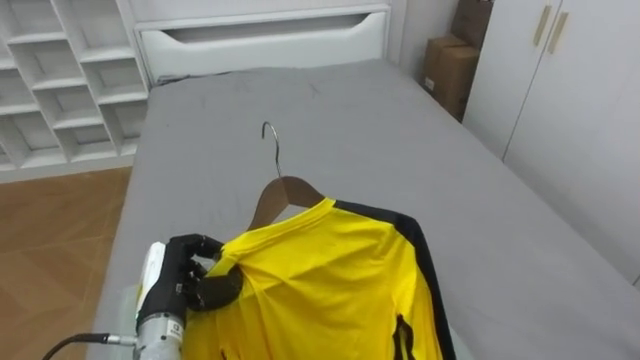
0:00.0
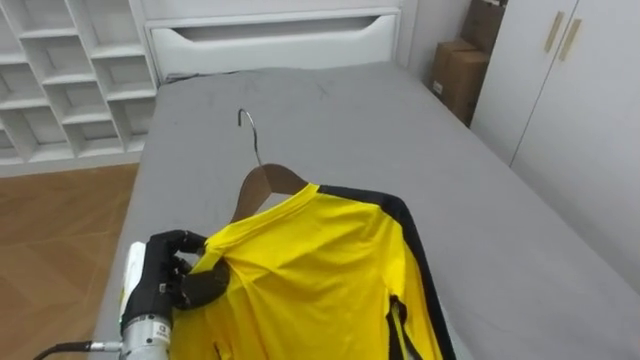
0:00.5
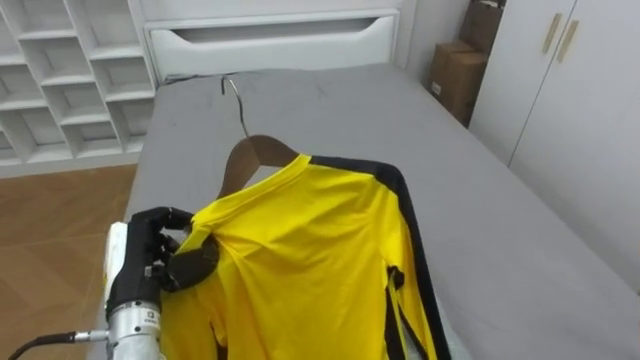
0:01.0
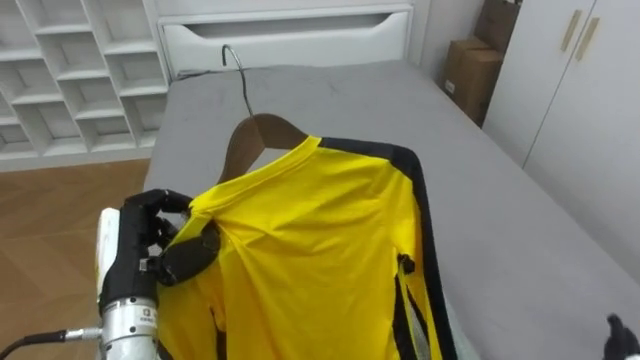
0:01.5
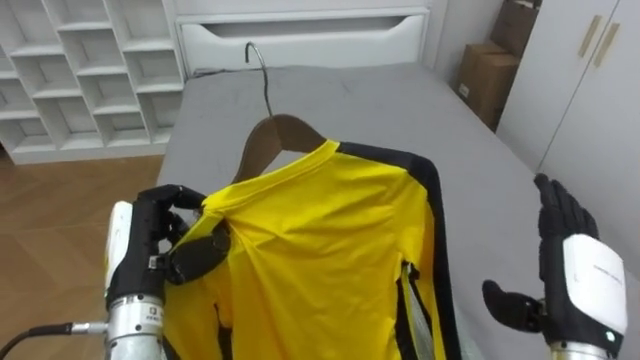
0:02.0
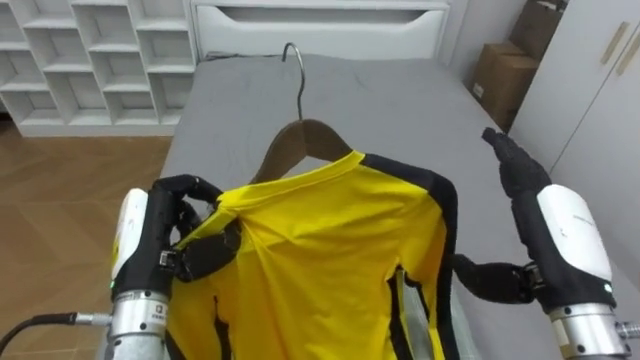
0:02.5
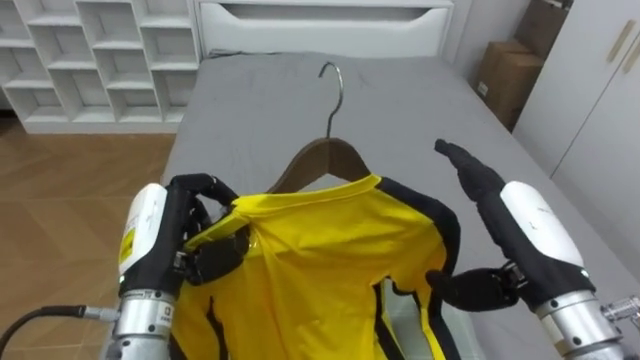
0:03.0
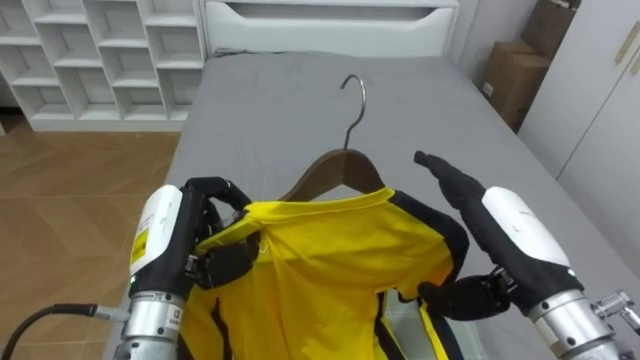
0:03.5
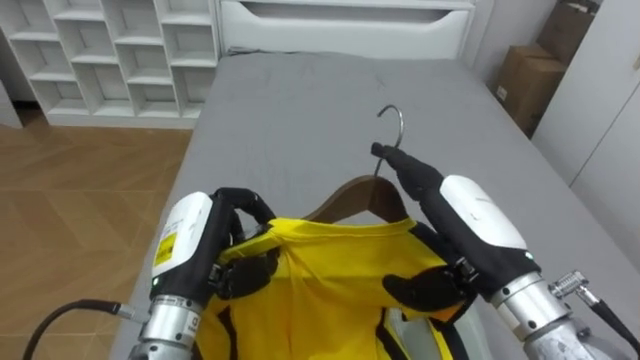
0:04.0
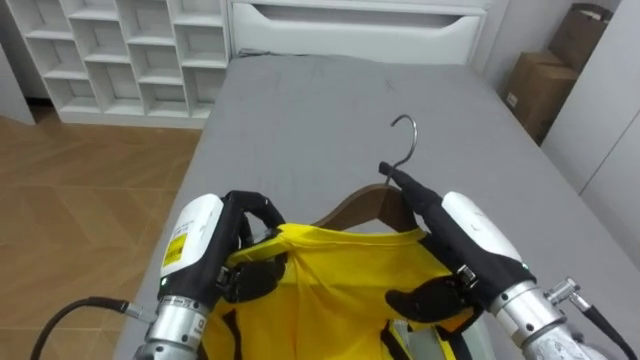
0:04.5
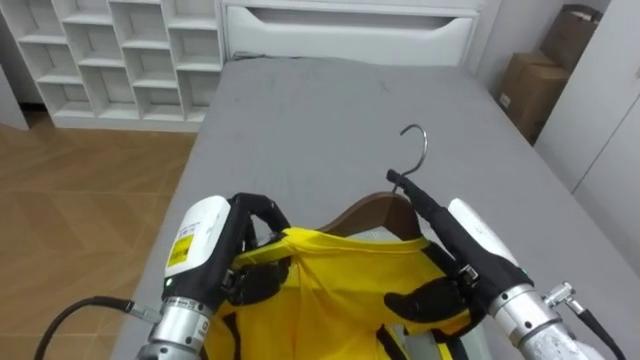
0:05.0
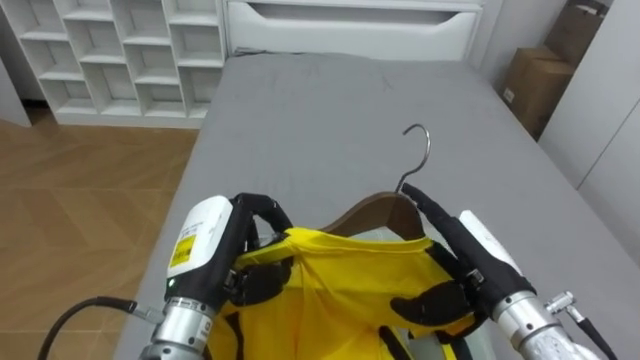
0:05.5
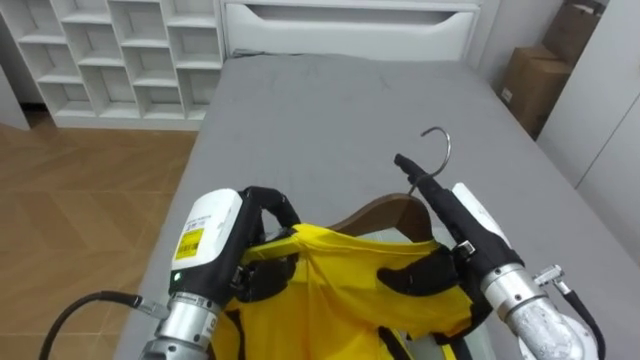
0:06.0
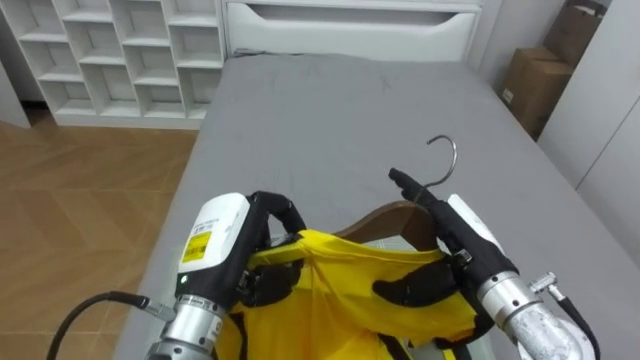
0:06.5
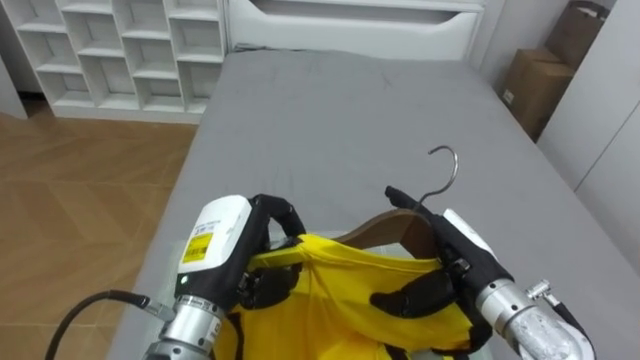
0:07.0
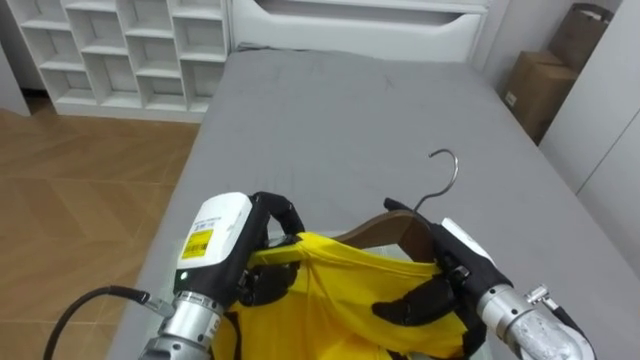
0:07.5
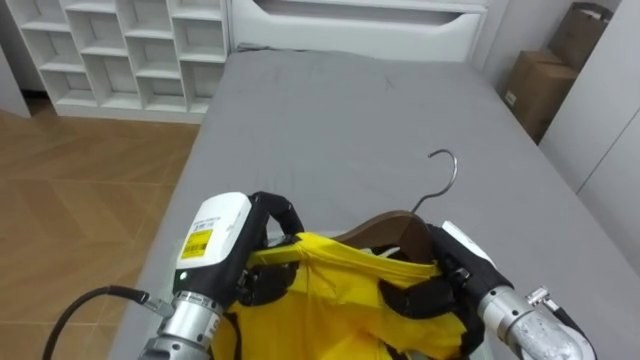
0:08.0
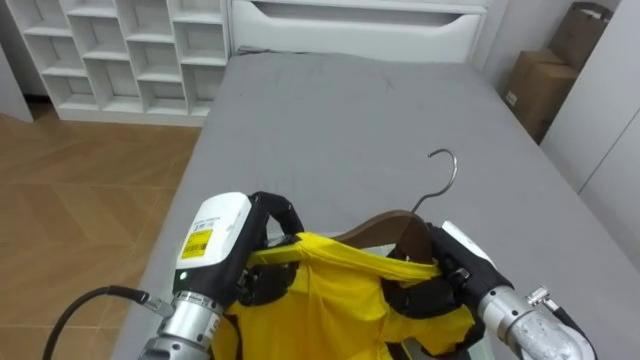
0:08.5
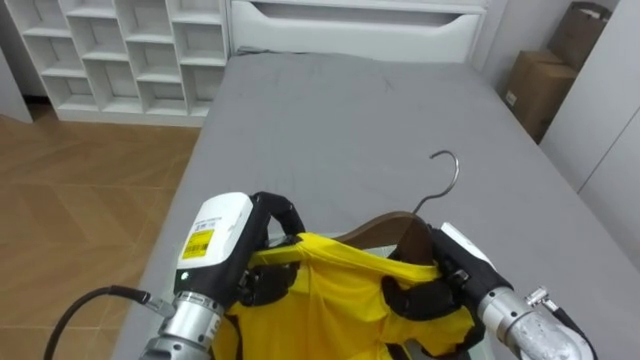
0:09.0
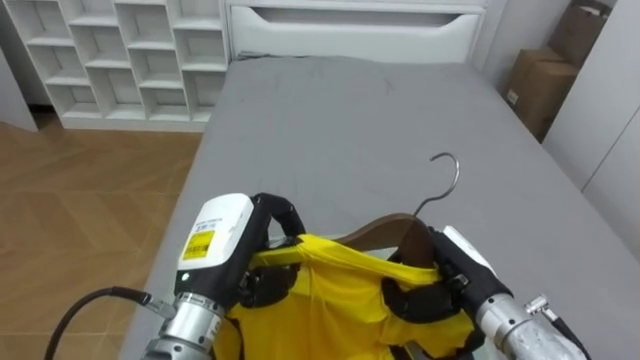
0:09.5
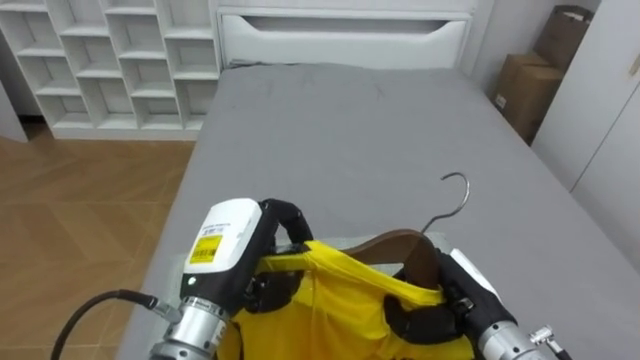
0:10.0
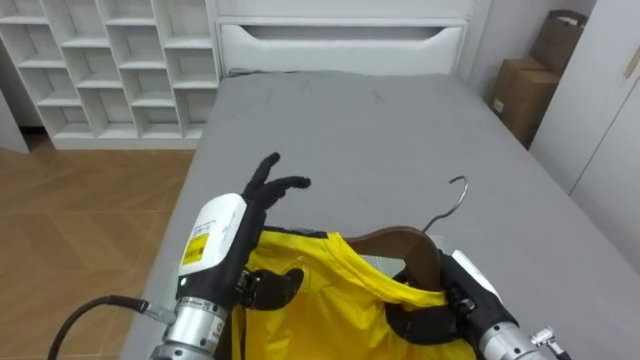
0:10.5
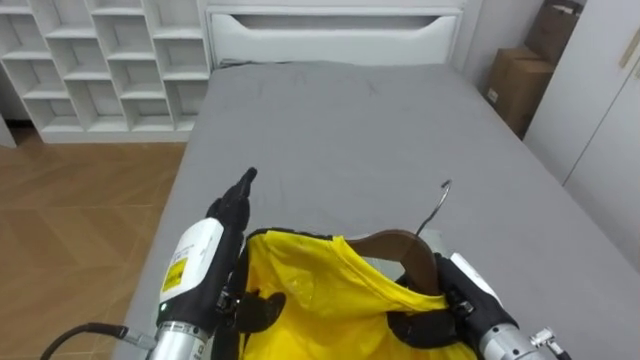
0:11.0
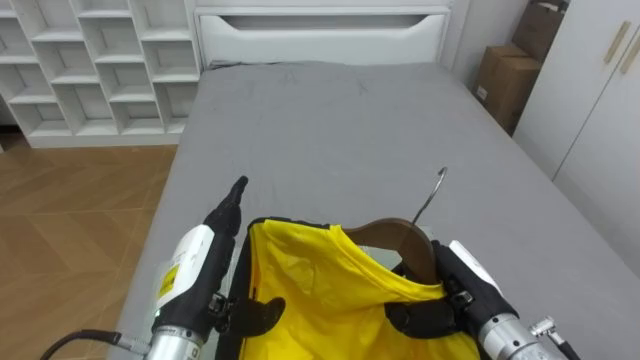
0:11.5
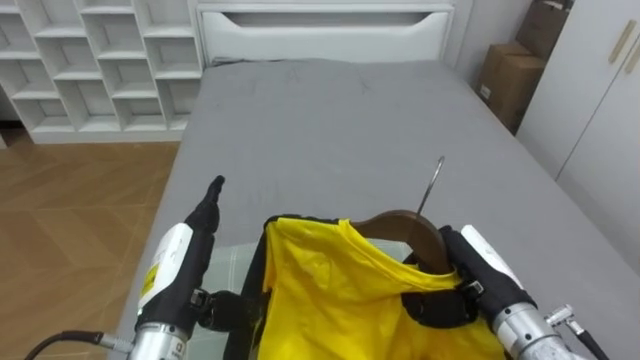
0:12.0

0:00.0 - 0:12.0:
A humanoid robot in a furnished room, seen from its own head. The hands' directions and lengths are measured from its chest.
Task of the whole recording: Pick up the yellow shirt on the bed and hang it on the clothes rack on the right.
0:00.0 - 0:02.0: The left hand heads upward, covering approximately 10 cm.
0:02.0 - 0:04.0: The left hand shifts approximately 5 cm to the right; the right hand travels to the left and upward by some 15 cm.
0:04.0 - 0:06.0: The right hand travels downward by approximately 5 cm.
0:06.0 - 0:08.0: The right hand travels downward by approximately 5 cm, and closes.
0:08.0 - 0:10.0: The right hand closes up.
0:10.0 - 0:12.0: The left hand travels to the left by approximately 5 cm, and opens up.

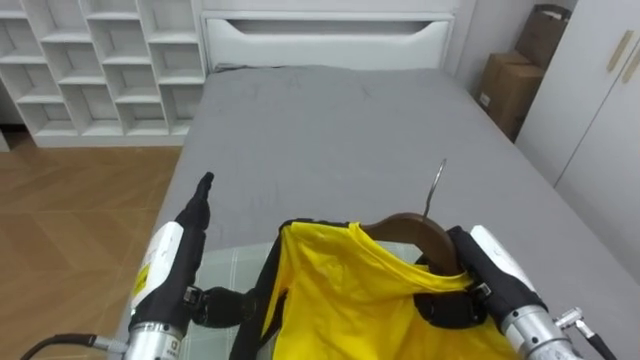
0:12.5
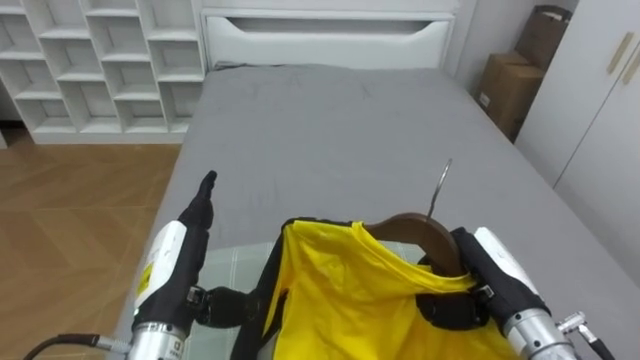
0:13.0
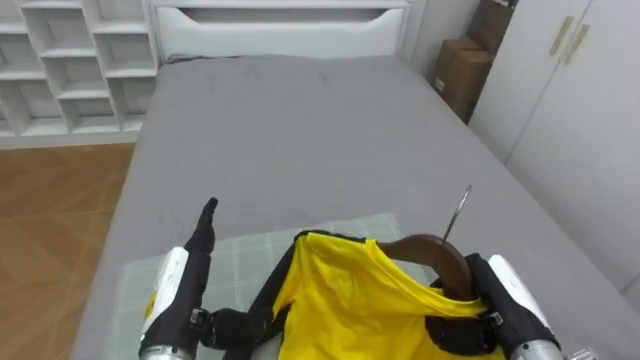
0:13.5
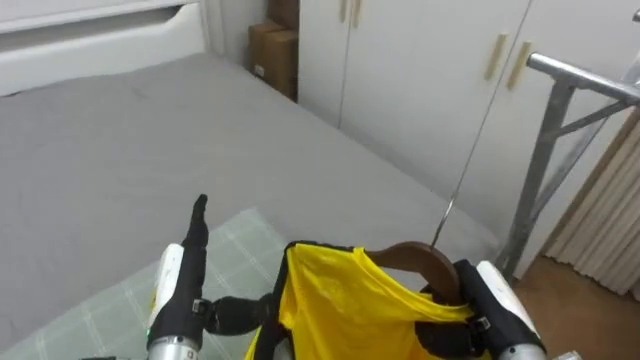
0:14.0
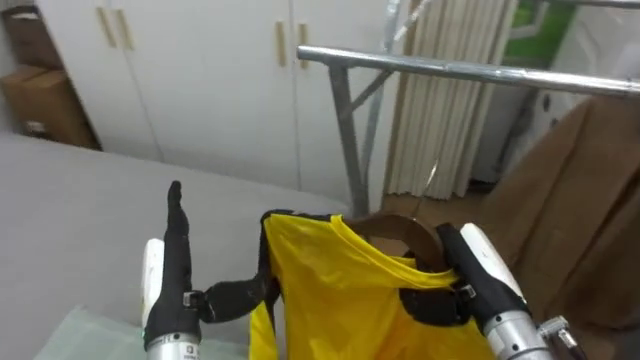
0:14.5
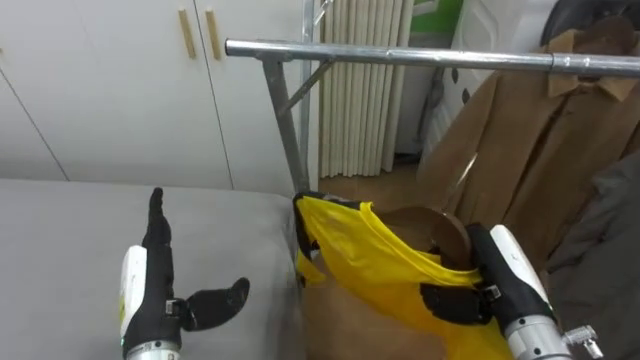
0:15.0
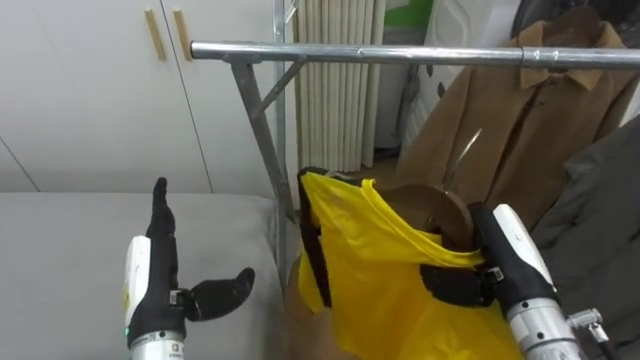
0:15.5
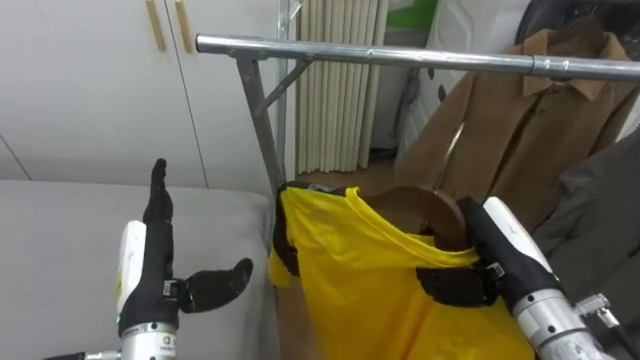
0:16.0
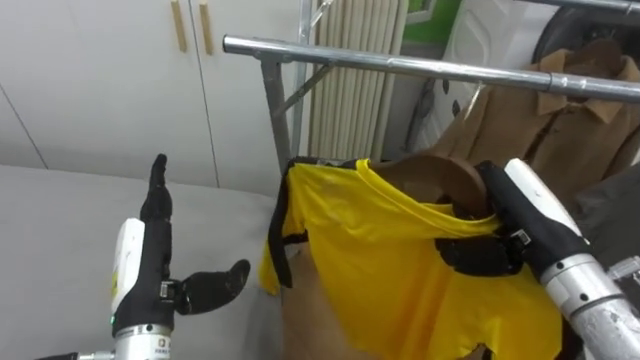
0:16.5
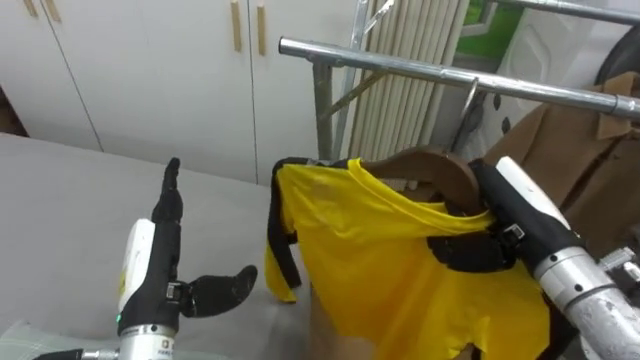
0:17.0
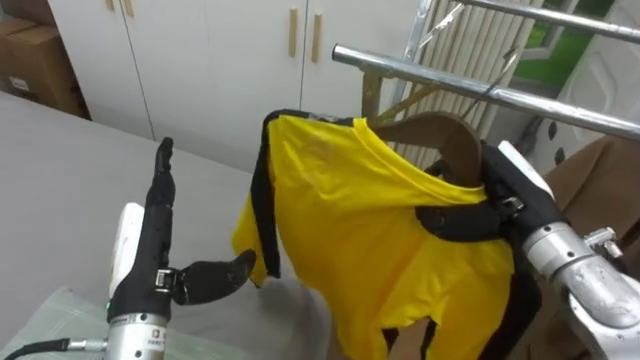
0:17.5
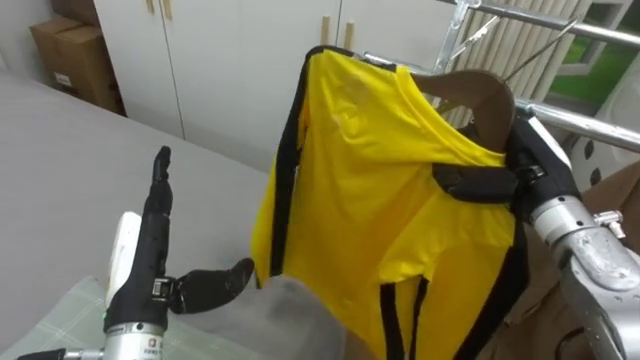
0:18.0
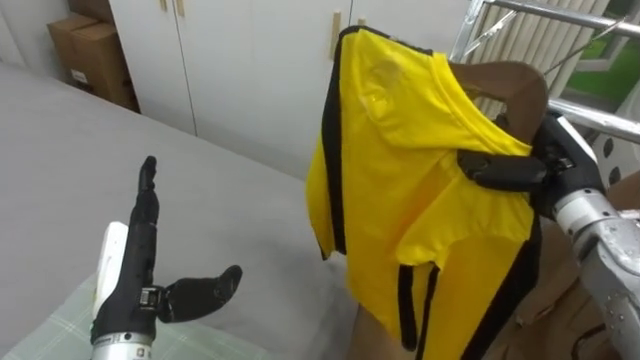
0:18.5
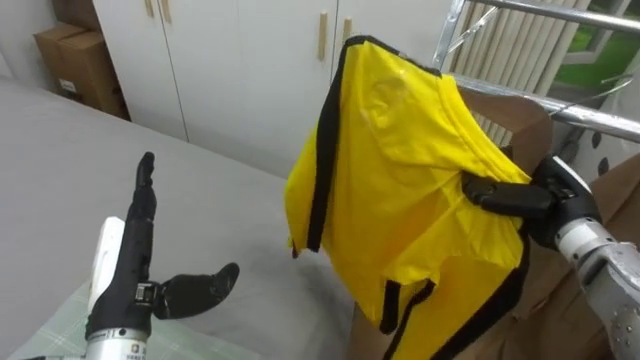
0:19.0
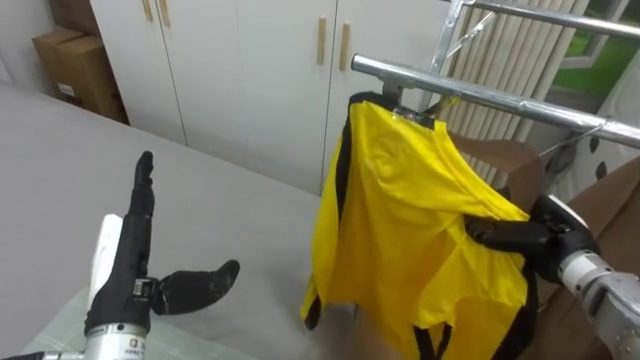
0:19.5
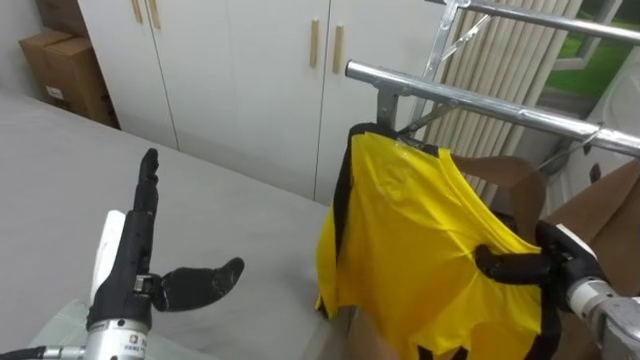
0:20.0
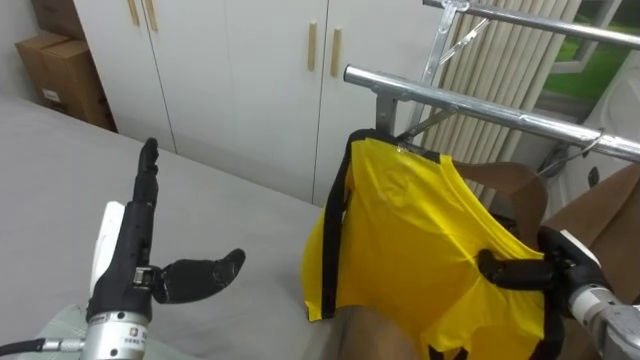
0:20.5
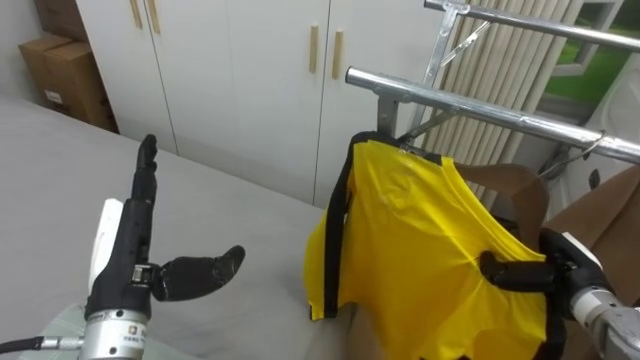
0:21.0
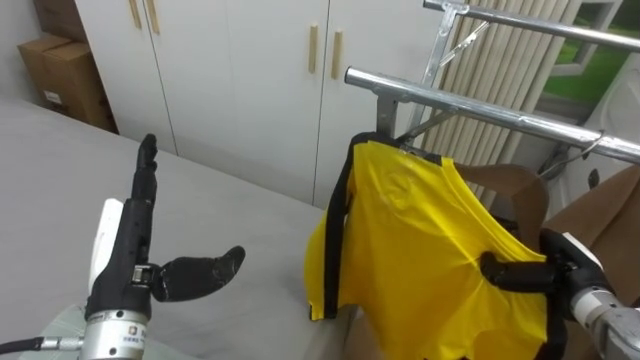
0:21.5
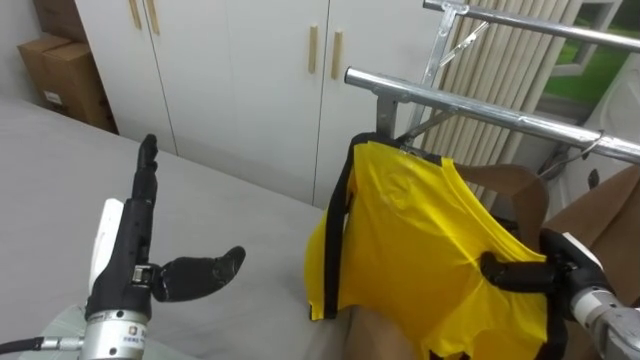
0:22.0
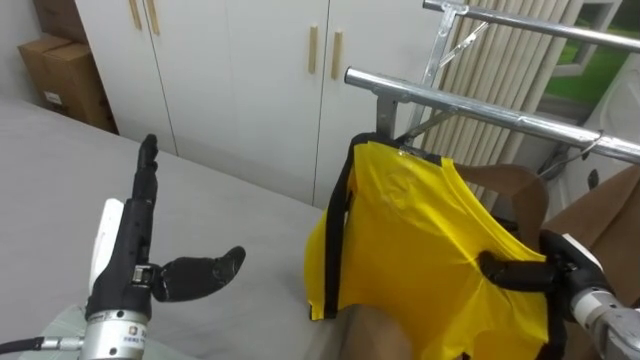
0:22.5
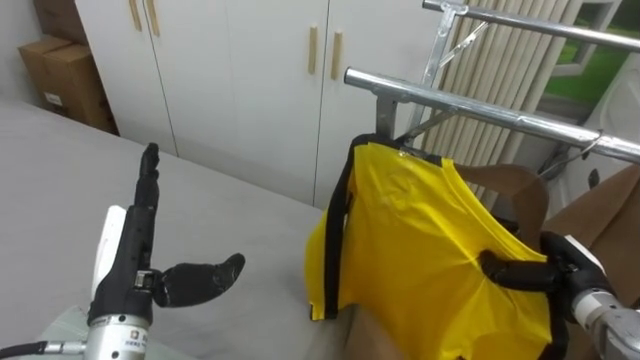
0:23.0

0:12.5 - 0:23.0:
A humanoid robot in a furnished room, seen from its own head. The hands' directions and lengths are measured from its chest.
Task of the whole recording: Pick up the yellow shirt on the bed and hang it on the clothes rack on the right.
0:12.5 - 0:14.5: The robot faces about 70 degrees further to its right.
0:14.5 - 0:16.5: The robot turns to its right by roughly 15 degrees. The right hand shifts approximately 10 cm upward.
0:16.5 - 0:19.0: The robot faces about 15 degrees further to its left. The right hand travels forward and to the right by some 10 cm.
0:19.0 - 0:21.0: The right hand heads downward, covering roughly 10 cm.
0:21.0 - 0:23.0: Both hands stay about where they are.
